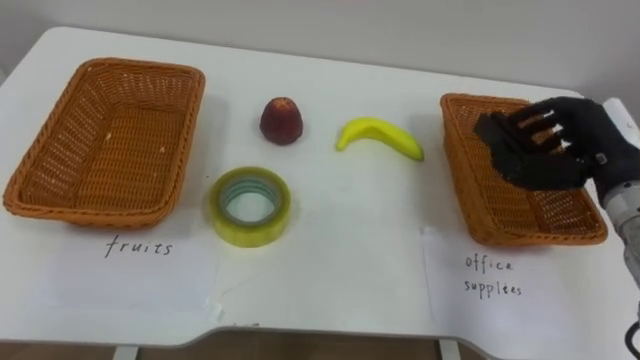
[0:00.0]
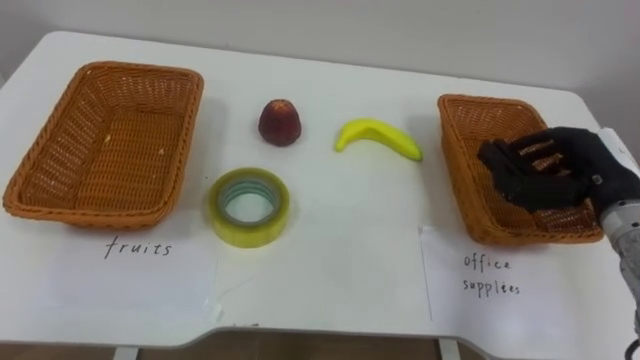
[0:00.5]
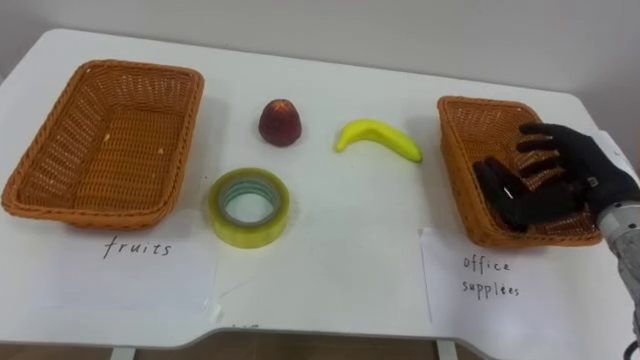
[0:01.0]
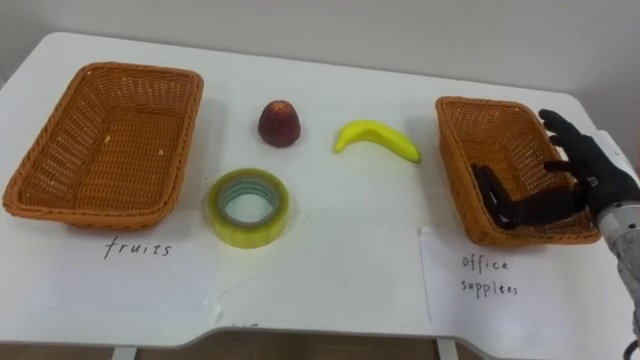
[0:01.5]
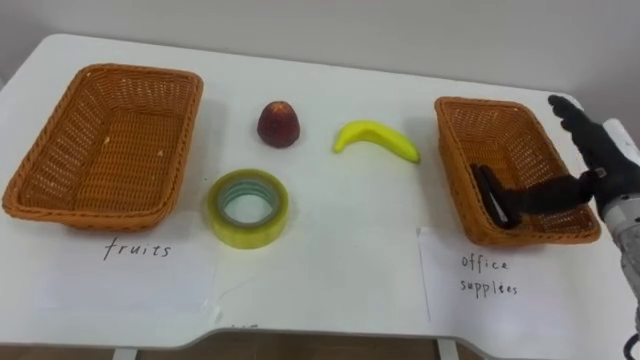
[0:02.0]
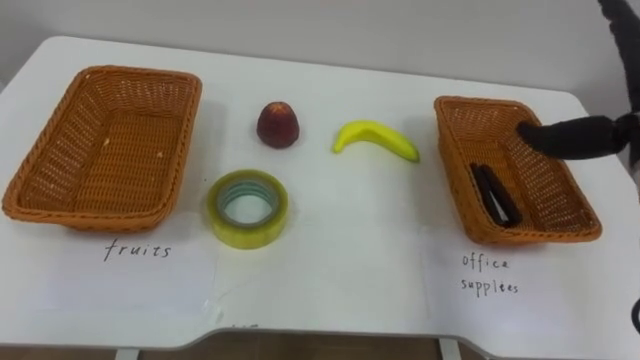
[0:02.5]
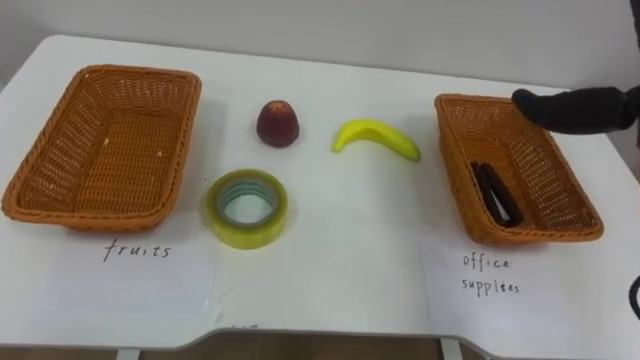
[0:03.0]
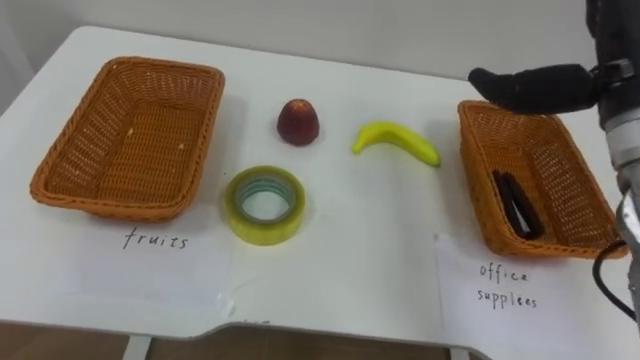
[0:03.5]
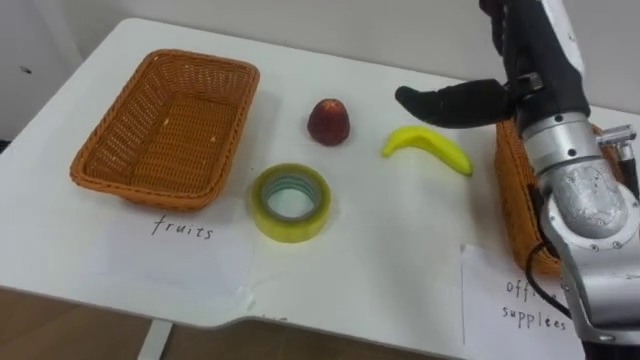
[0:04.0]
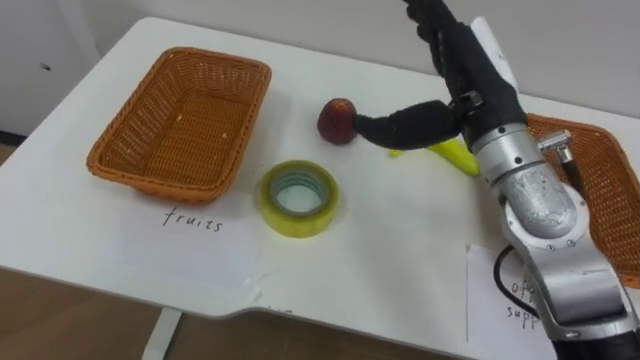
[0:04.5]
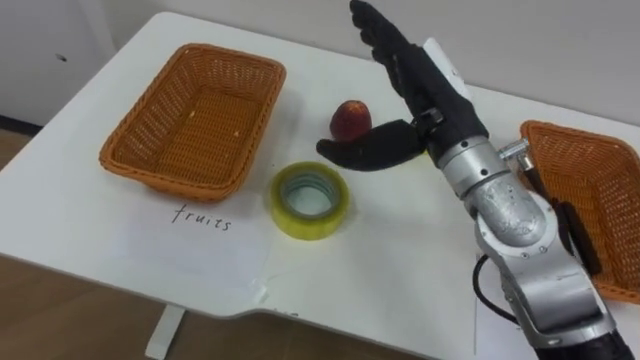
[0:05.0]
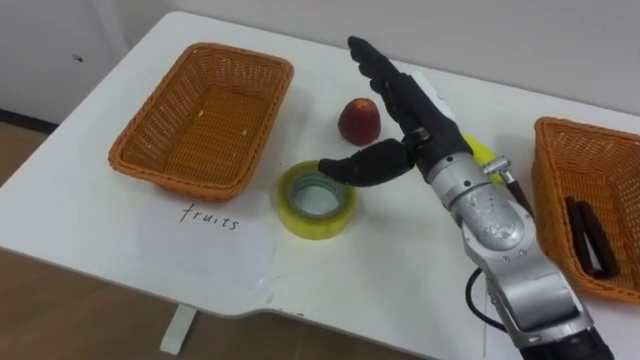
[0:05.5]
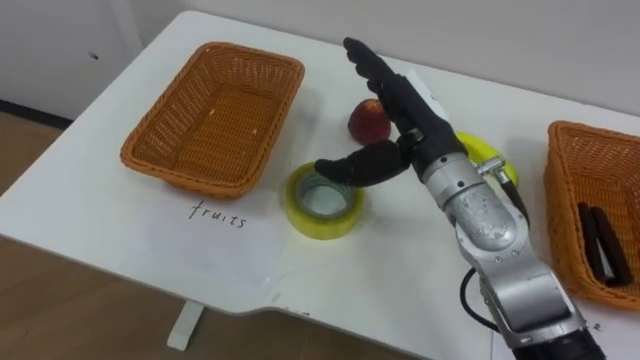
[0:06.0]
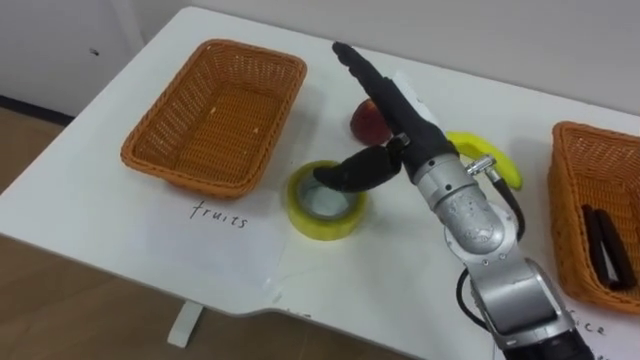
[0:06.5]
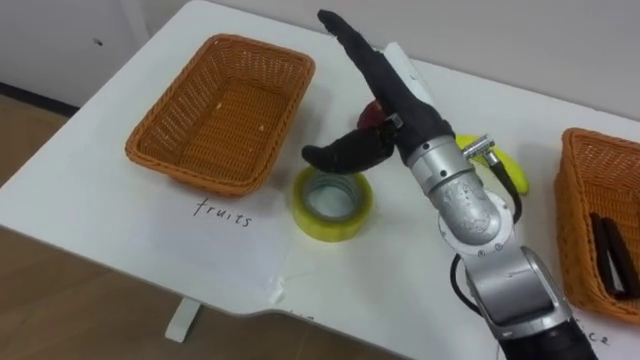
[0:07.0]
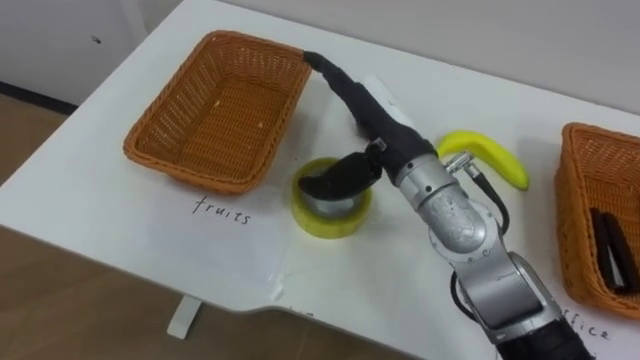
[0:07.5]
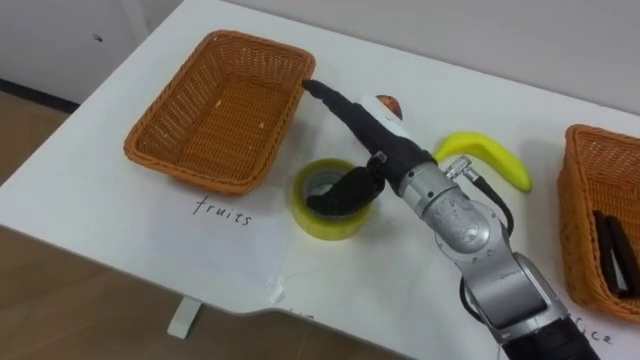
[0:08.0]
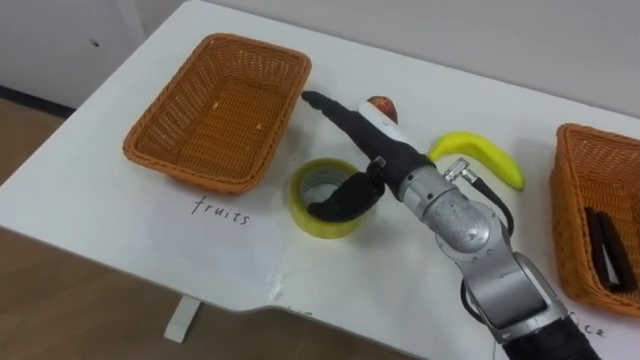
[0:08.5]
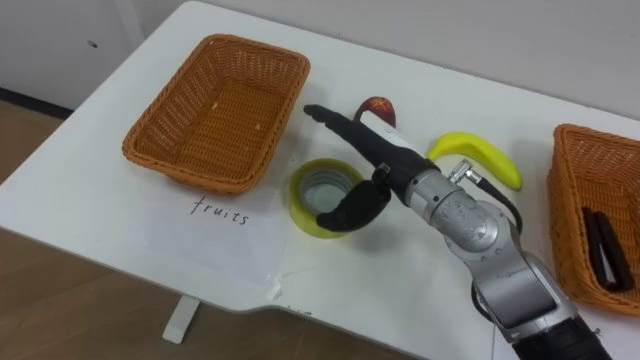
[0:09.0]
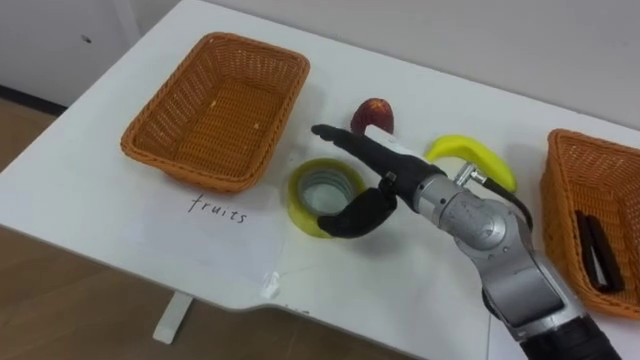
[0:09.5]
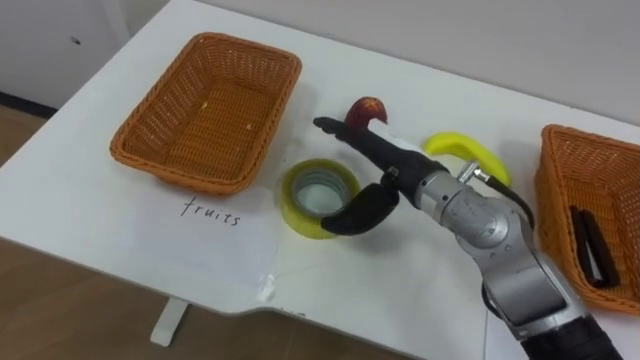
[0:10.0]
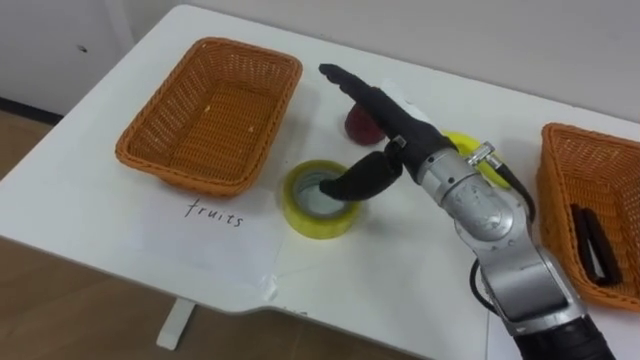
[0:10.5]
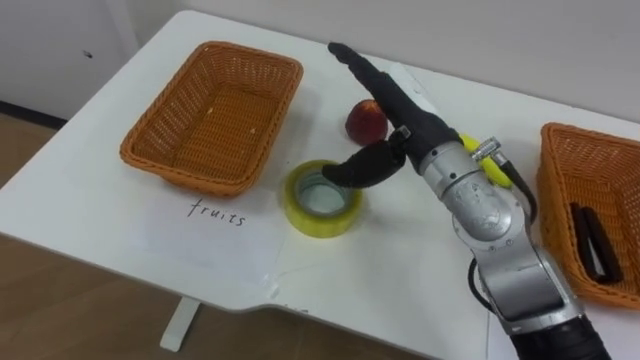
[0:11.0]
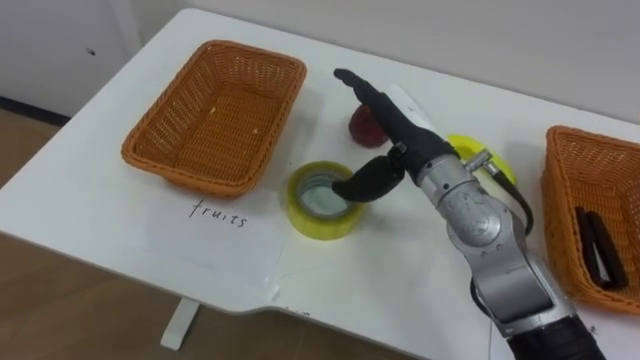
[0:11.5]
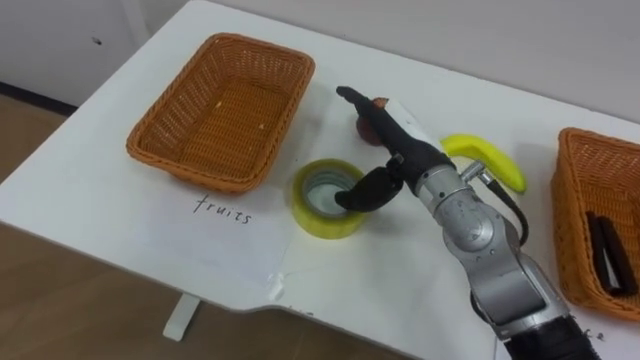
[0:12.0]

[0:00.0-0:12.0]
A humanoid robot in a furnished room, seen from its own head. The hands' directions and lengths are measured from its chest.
Task of the whole recording: Separate the items on the table and place them into the two baskets.
0:00.0 to 0:02.0: The right hand opens its fingers.
0:04.0 to 0:06.0: The right hand goes roughly 10 cm to the left and downward.

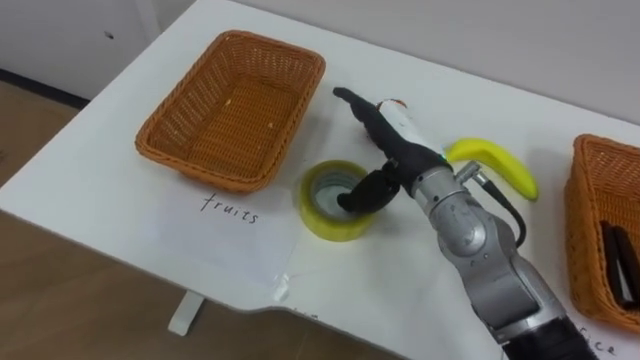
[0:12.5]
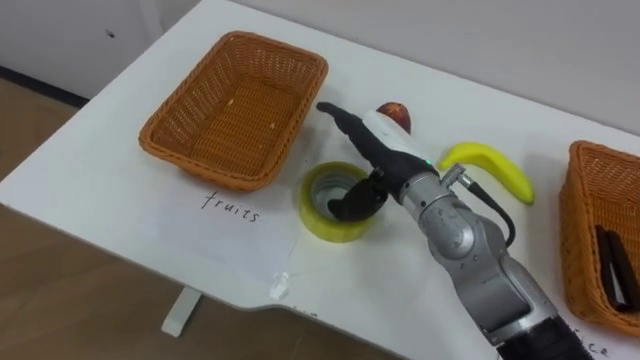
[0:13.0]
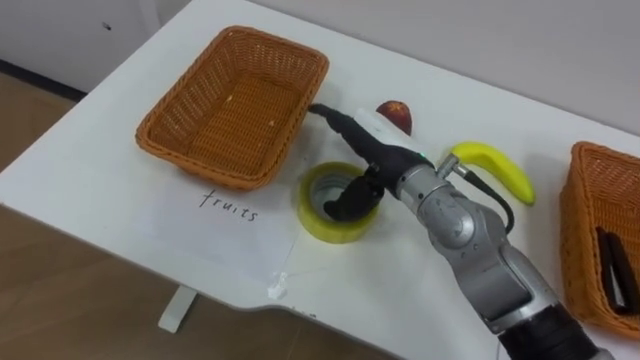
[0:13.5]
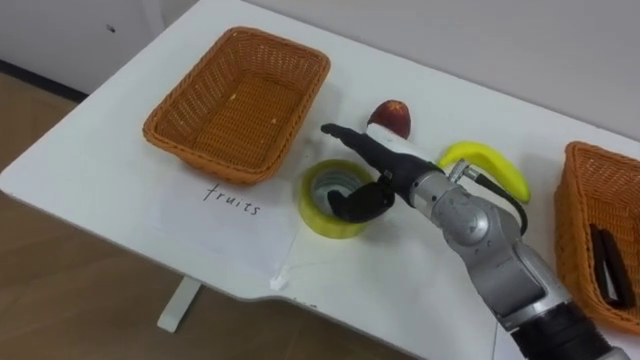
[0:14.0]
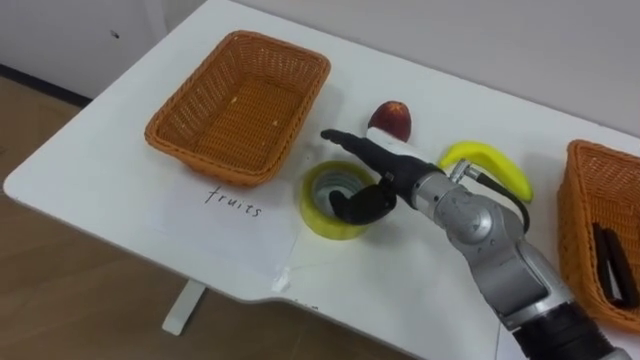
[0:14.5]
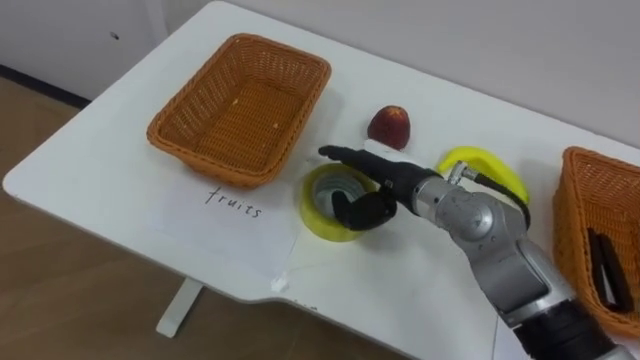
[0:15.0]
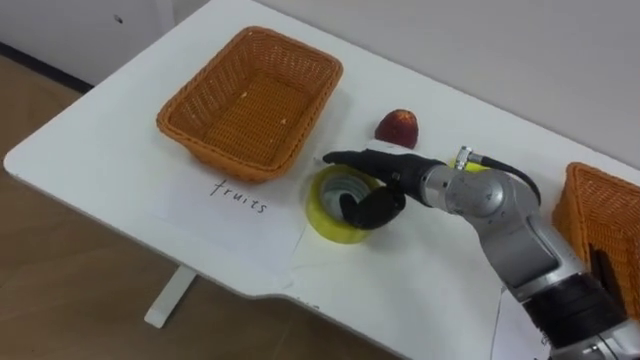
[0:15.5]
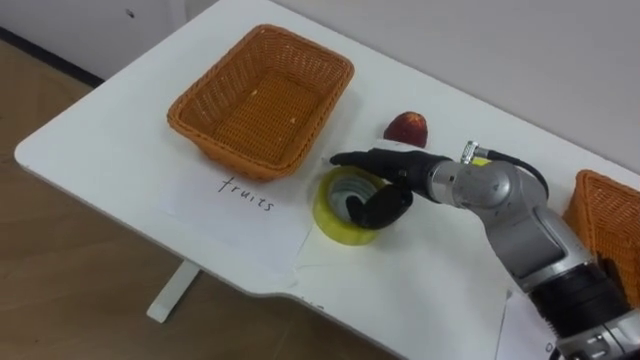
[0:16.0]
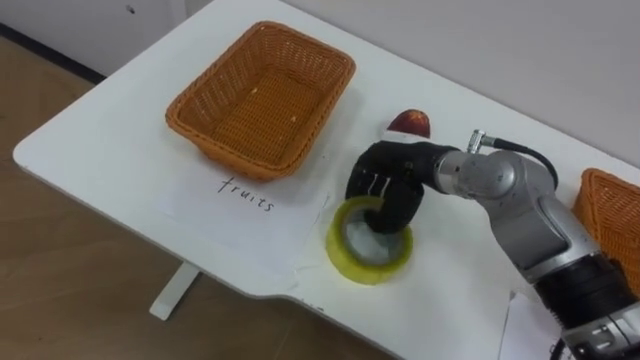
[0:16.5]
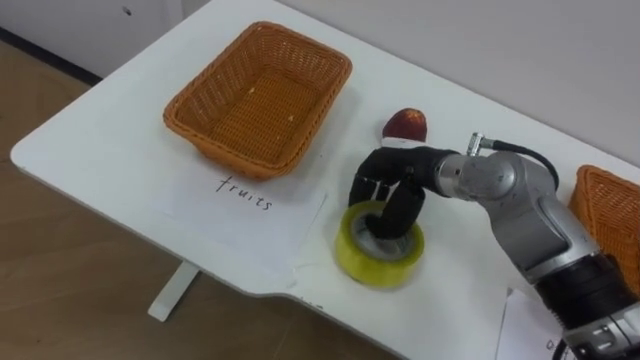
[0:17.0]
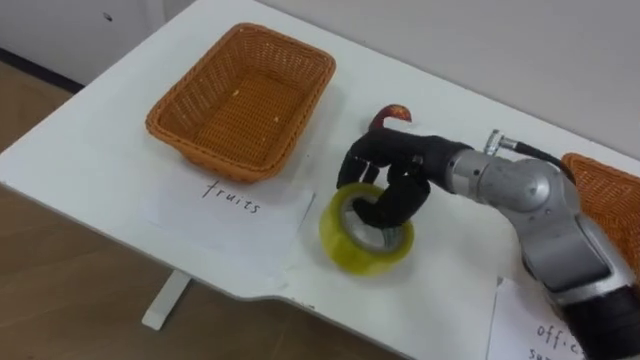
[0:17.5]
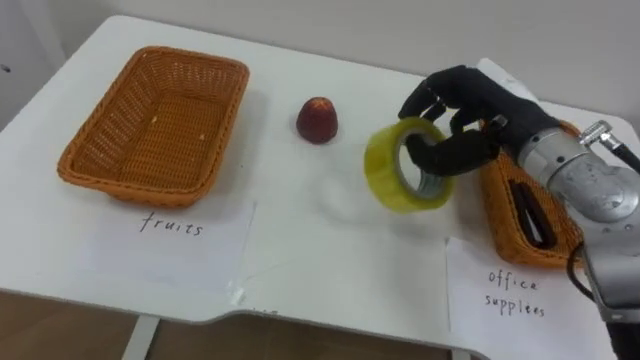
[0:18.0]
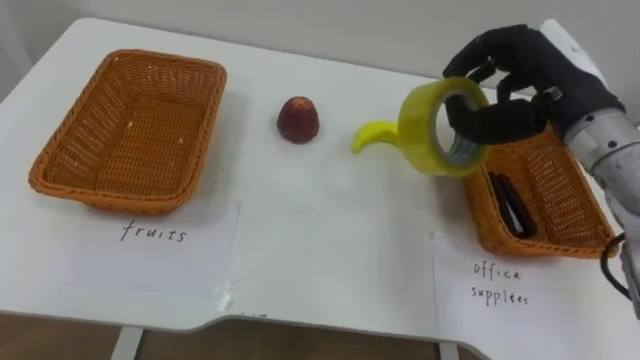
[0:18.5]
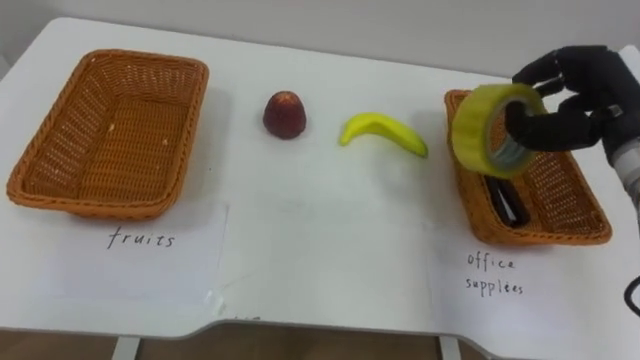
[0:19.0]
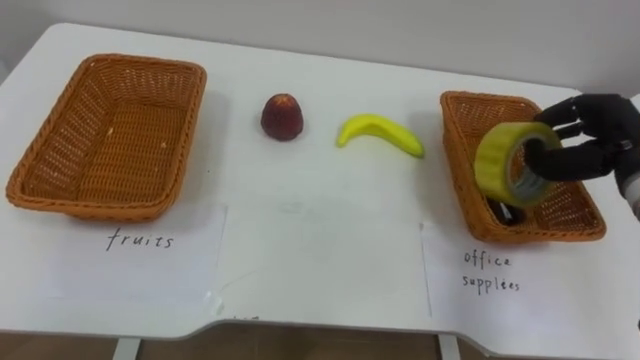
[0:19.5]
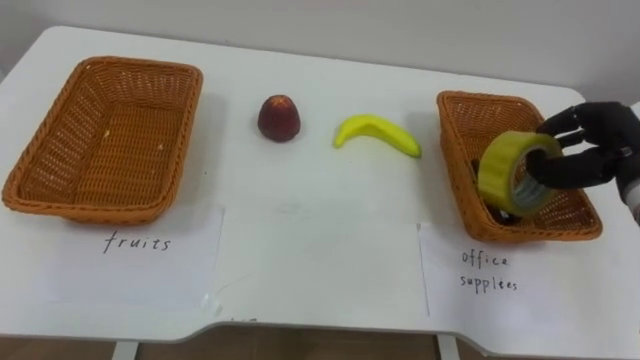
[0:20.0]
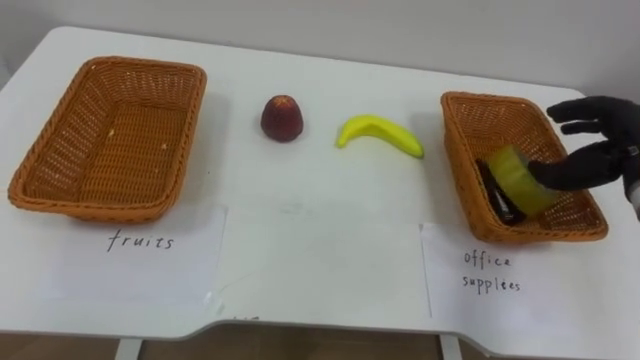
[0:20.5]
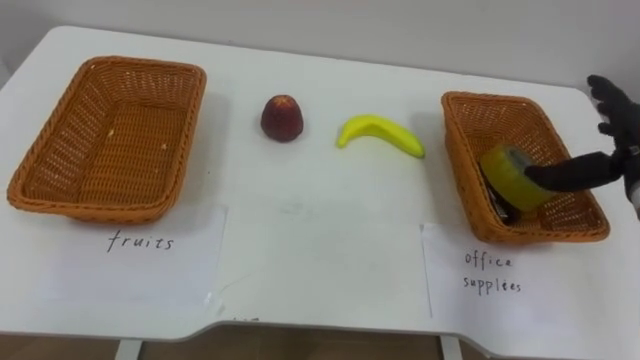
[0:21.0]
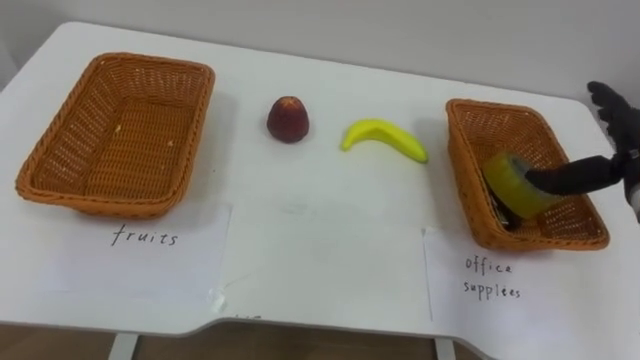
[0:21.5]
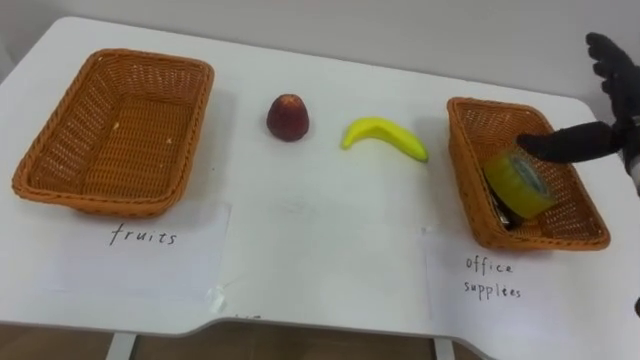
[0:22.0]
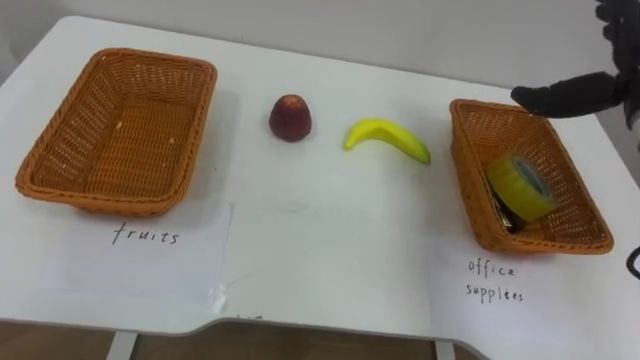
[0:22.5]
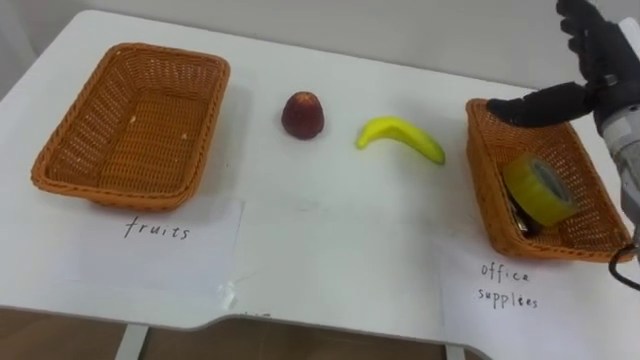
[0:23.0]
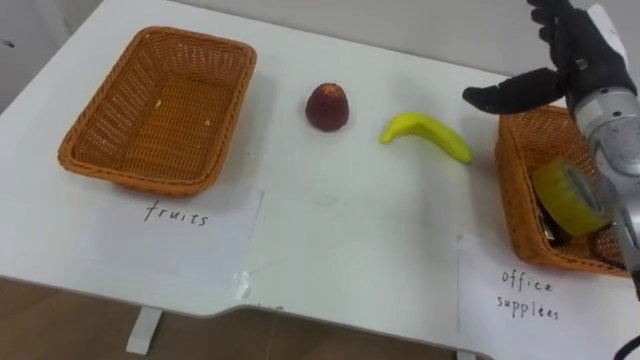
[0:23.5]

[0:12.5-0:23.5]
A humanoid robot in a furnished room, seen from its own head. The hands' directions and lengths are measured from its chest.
Task of the whole recording: Separate the items on the table and place them into the two baskets.
0:16.0 to 0:18.0: The right hand shifts some 15 cm upward and to the right, and closes.
0:18.0 to 0:20.0: The right hand moves to the right, roughly 15 cm.
0:20.0 to 0:21.5: The right hand opens its fingers.
0:21.5 to 0:23.5: The right hand heads to the left, upward and forward, covering some 15 cm.
